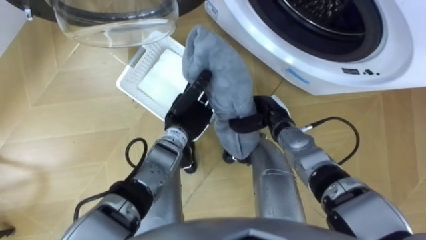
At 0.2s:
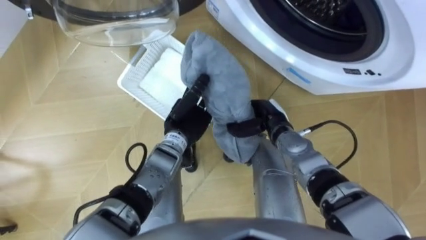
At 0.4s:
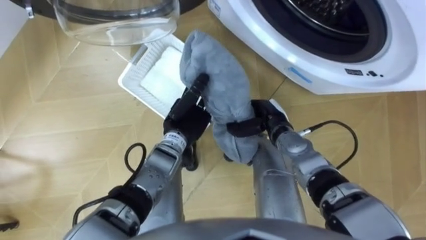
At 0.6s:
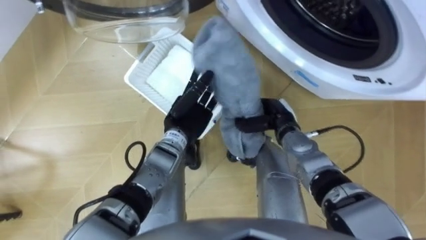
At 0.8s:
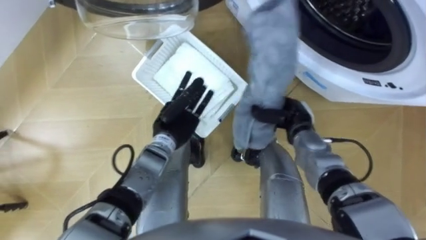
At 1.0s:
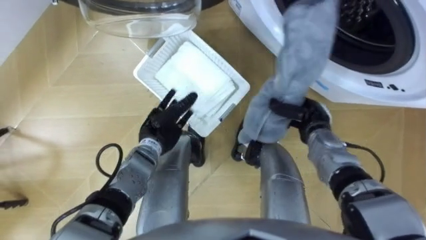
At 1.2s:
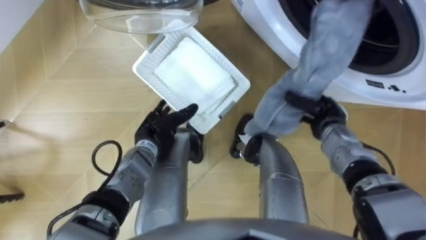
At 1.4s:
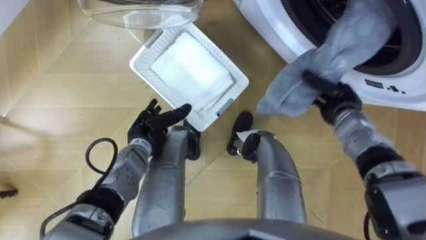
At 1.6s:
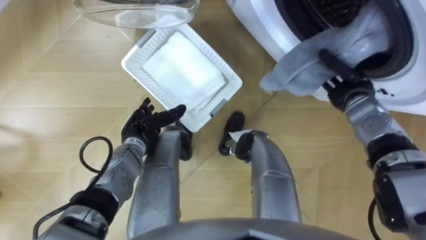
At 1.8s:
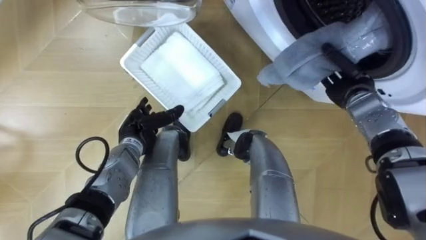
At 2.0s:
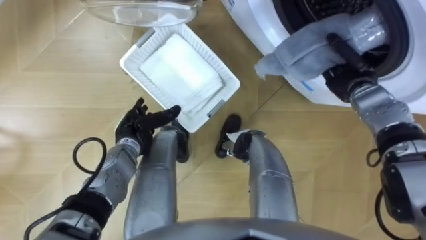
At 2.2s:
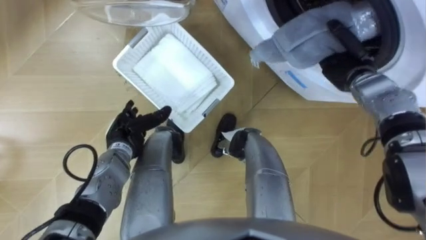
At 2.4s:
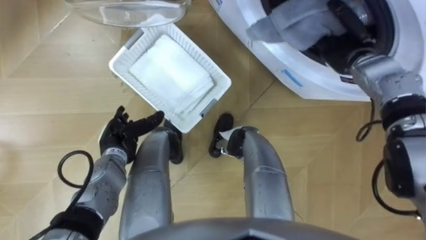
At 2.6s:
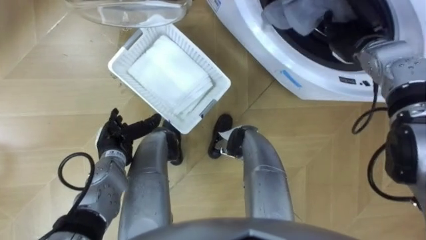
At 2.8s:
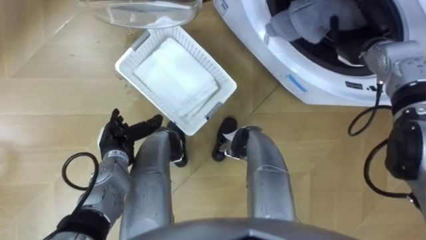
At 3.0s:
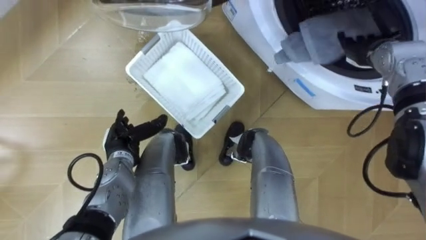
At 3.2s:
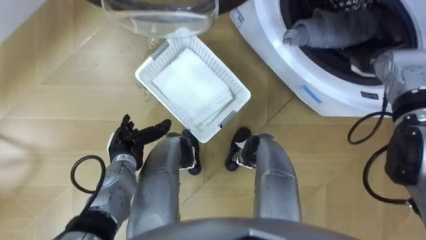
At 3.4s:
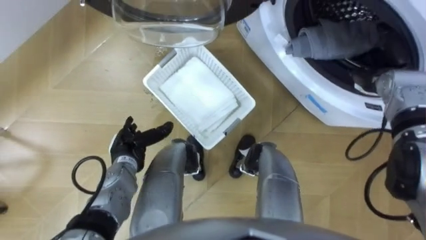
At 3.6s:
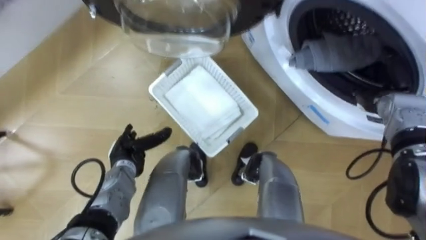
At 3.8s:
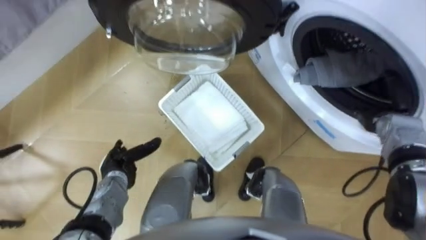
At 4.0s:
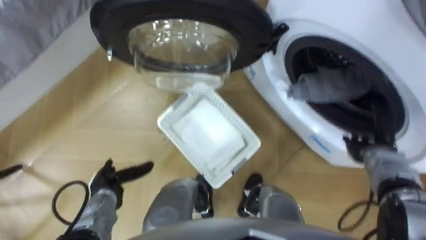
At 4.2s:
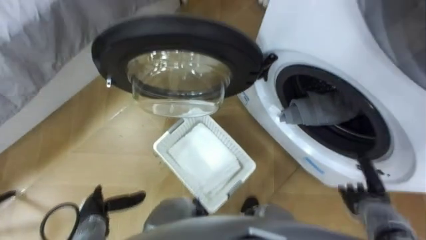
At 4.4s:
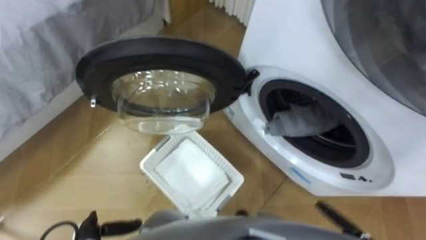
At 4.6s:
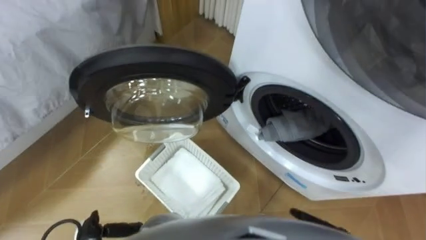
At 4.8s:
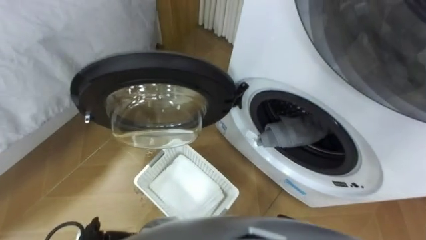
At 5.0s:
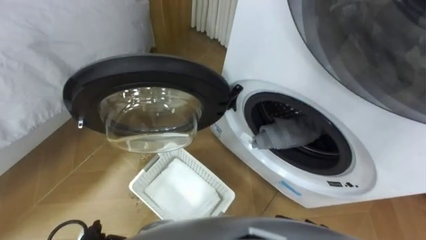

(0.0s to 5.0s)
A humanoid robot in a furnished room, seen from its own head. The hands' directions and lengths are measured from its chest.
Task of the whole recording: Take the towel from the basket and put it into the washing machine.
0.0s - 1.6s: The left hand heads to the left, covering roughly 10 cm, and opens up, while the right hand goes roughly 15 cm to the right.
1.6s - 3.4s: The left hand ends up some 5 cm from where it was. The right hand moves to the right, some 5 cm, and opens up.
